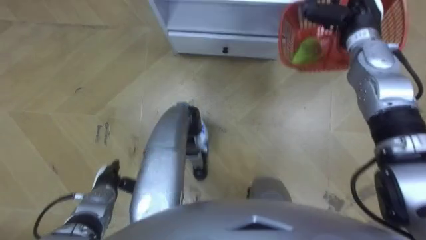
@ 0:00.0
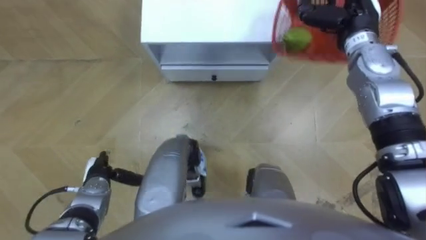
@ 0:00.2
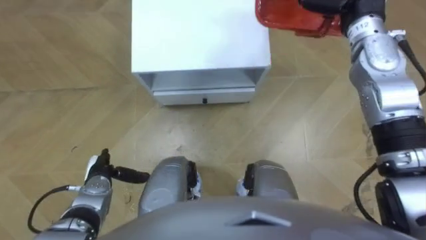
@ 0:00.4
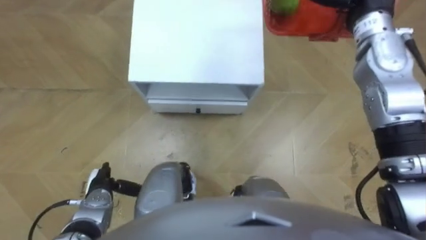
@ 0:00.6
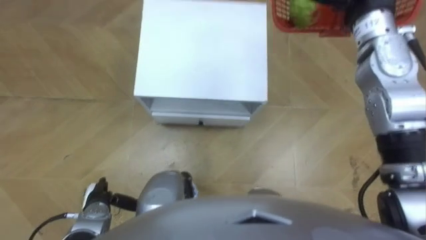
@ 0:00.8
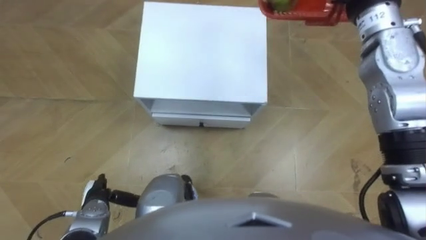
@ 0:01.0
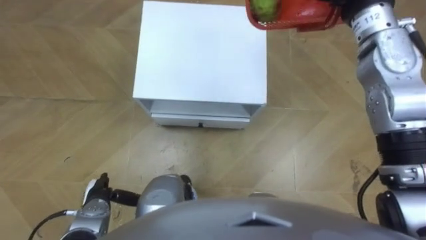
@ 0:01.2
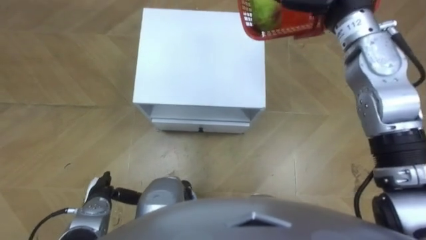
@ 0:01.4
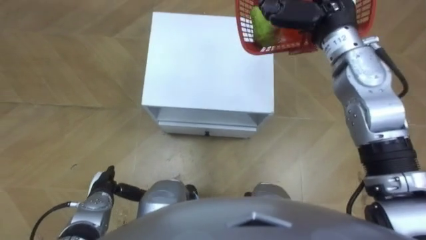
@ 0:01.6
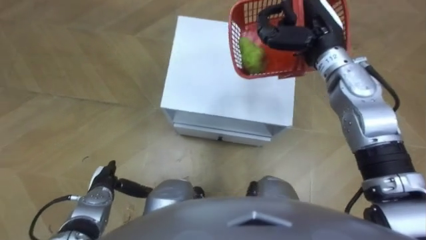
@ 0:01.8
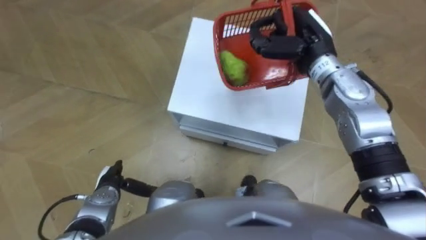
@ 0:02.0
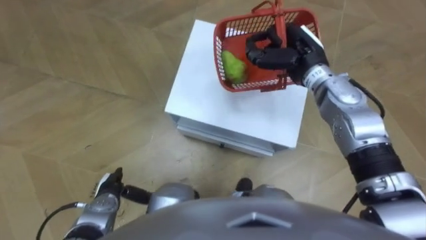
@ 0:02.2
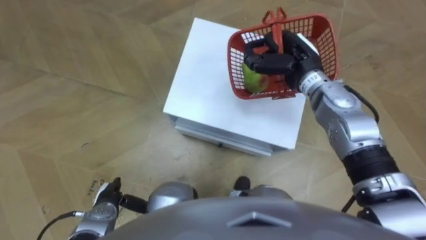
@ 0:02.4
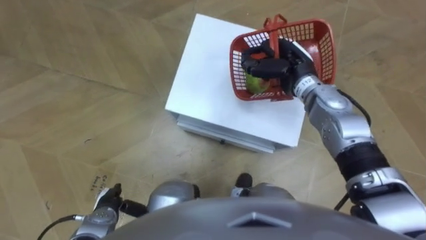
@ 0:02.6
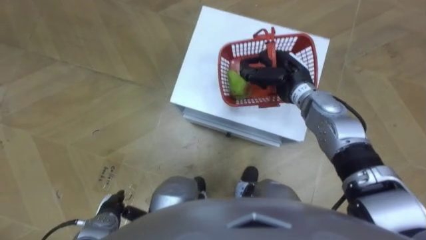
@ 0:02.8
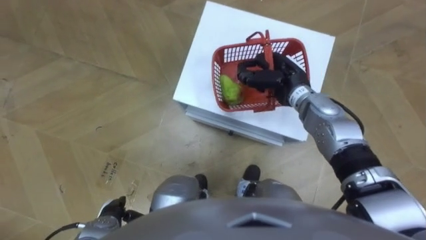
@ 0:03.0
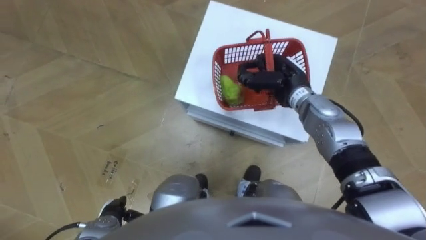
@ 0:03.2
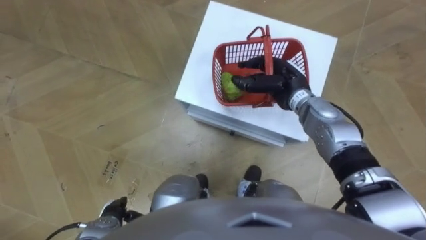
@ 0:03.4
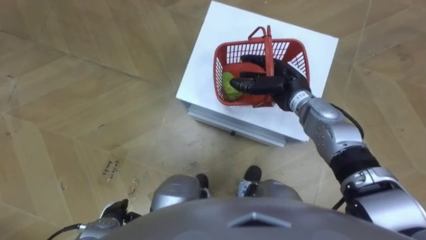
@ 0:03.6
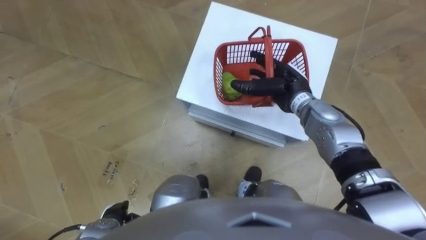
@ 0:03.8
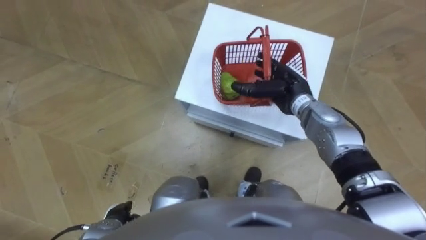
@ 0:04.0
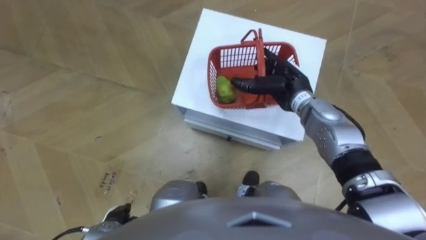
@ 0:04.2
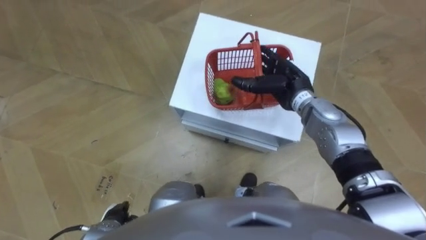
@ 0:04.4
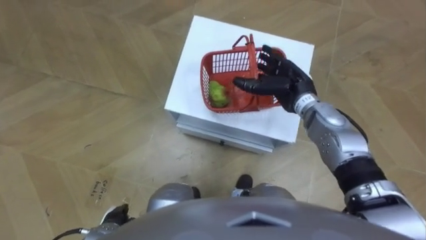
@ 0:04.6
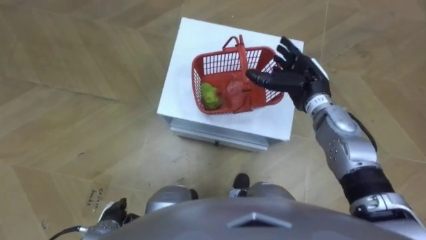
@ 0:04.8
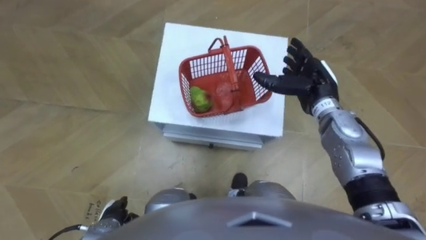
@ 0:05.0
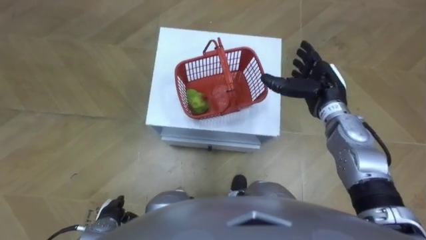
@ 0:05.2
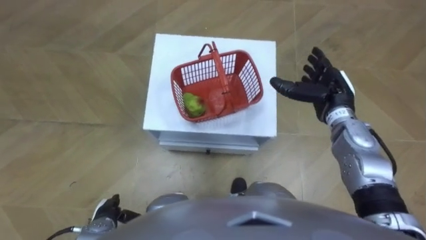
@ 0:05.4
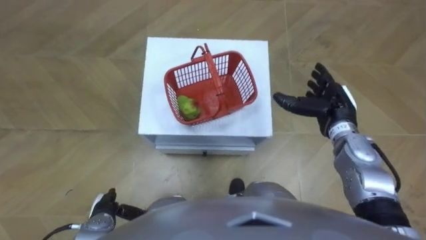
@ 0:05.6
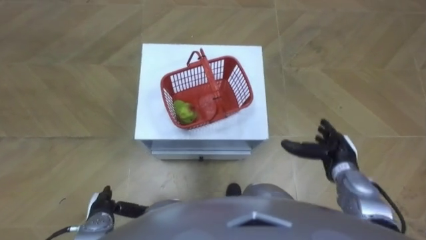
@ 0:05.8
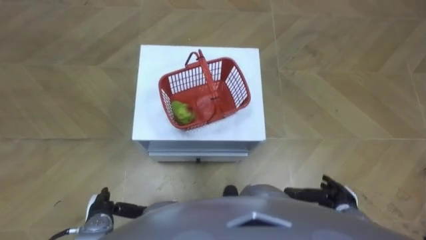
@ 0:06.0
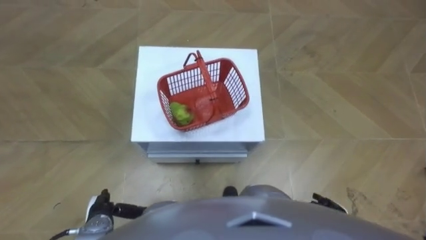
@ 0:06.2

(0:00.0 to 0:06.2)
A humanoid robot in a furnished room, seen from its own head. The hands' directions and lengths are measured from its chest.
Task of the whole recording: Pick up the fruit basket from the floor and place it on the cabinet.
0:01.6 - 0:03.2: The right hand is displaced downward by approximately 15 cm. Meanwhile the left hand travels backward by approximately 5 cm.
0:03.2 - 0:04.6: The right hand opens its fingers.
0:04.6 - 0:06.2: The right hand moves backward and downward, roughly 30 cm.

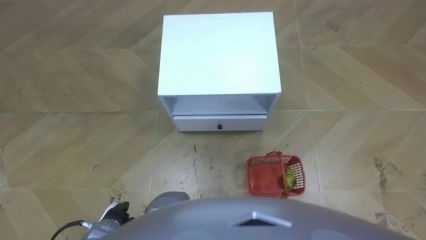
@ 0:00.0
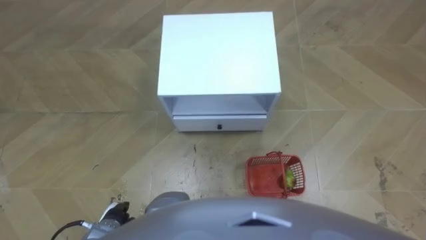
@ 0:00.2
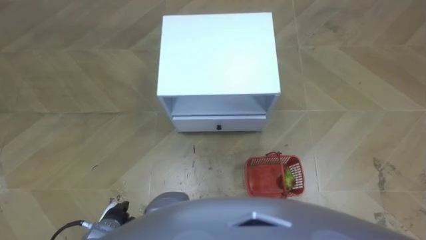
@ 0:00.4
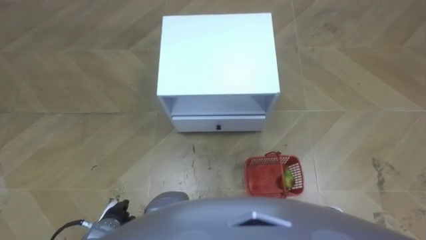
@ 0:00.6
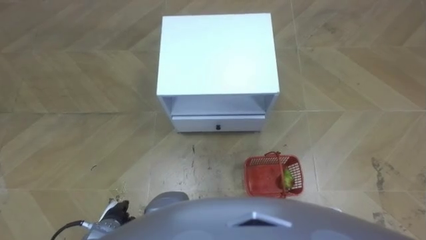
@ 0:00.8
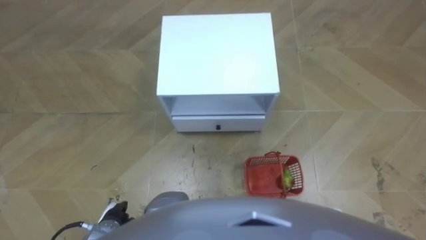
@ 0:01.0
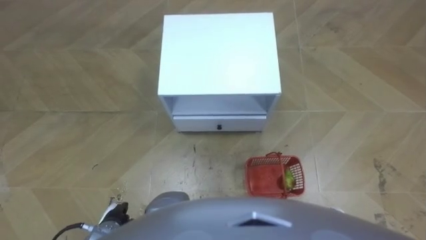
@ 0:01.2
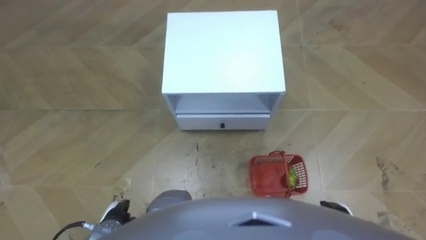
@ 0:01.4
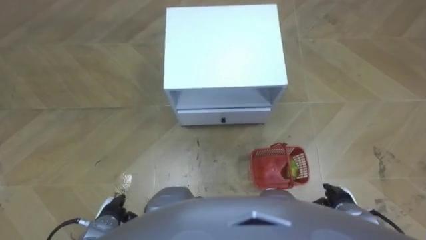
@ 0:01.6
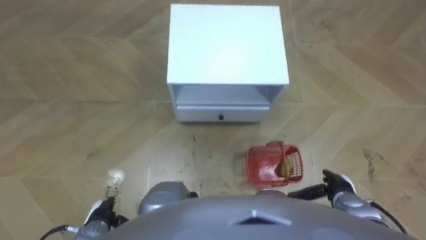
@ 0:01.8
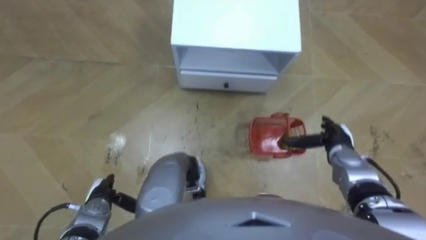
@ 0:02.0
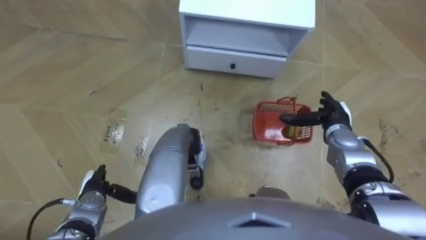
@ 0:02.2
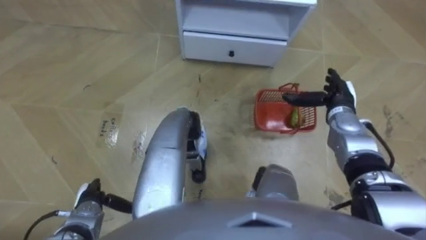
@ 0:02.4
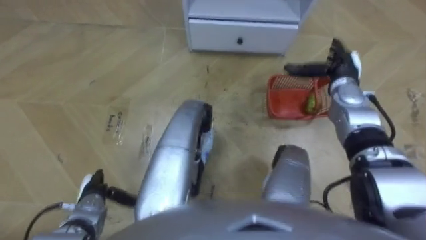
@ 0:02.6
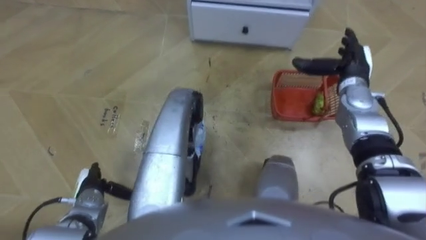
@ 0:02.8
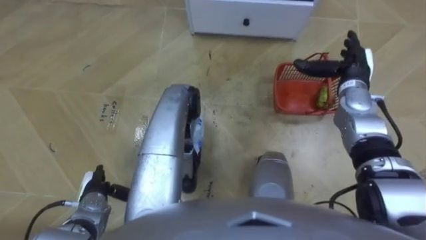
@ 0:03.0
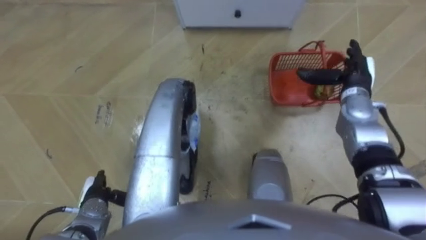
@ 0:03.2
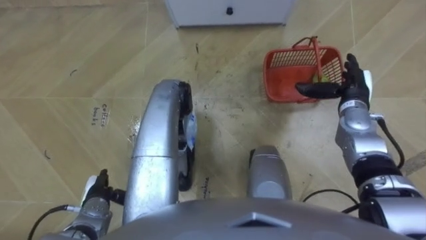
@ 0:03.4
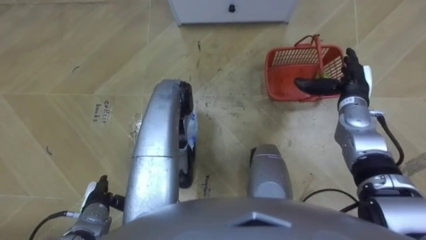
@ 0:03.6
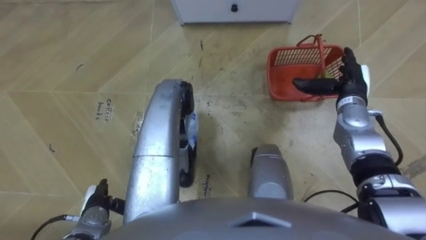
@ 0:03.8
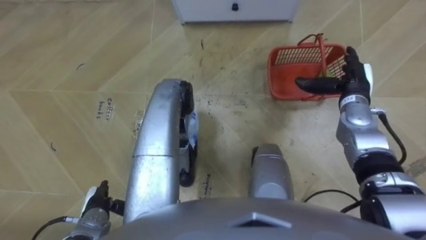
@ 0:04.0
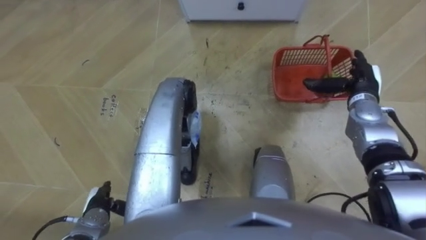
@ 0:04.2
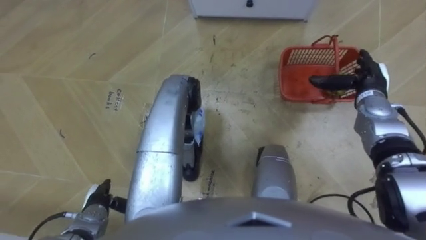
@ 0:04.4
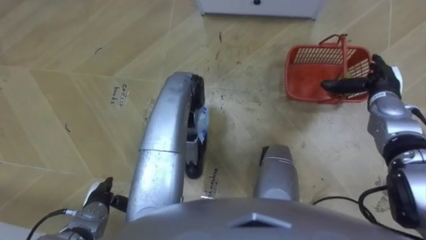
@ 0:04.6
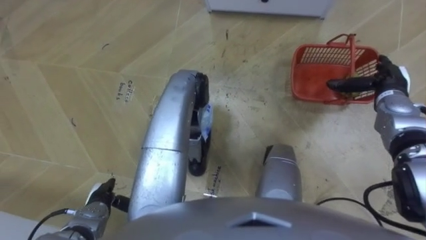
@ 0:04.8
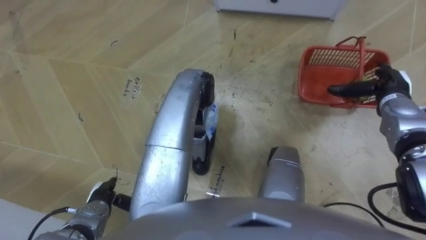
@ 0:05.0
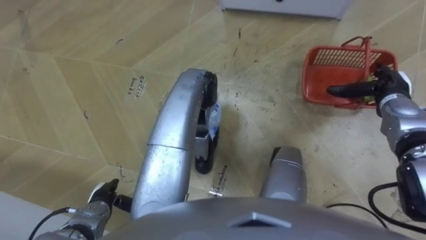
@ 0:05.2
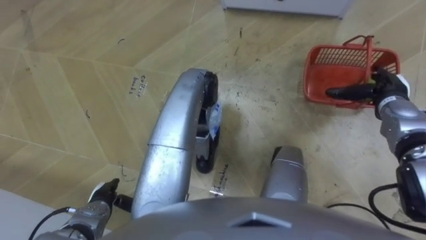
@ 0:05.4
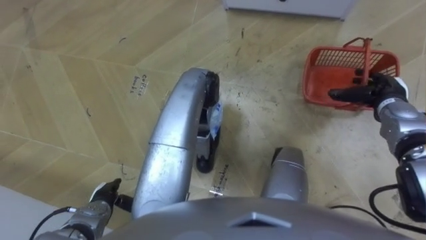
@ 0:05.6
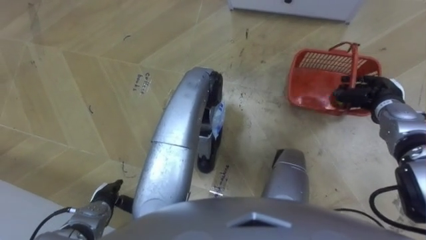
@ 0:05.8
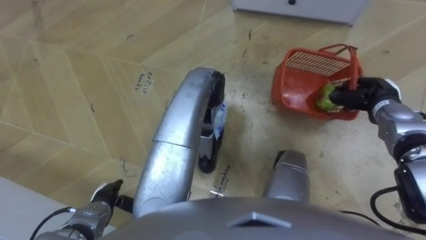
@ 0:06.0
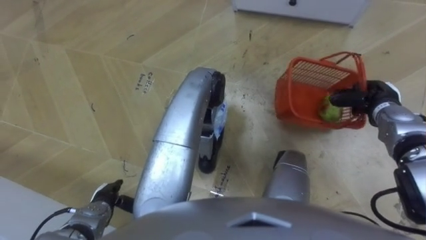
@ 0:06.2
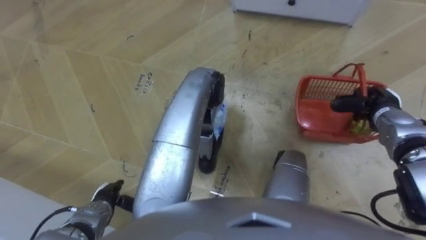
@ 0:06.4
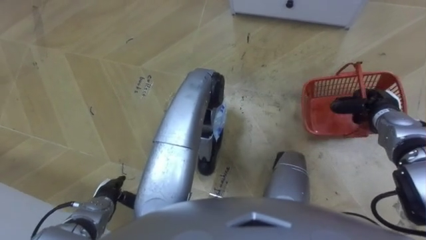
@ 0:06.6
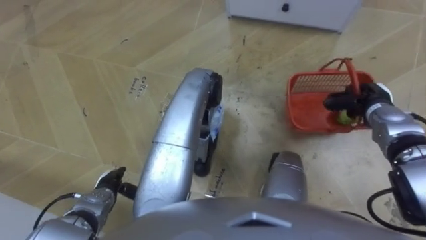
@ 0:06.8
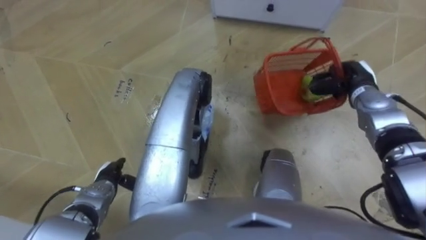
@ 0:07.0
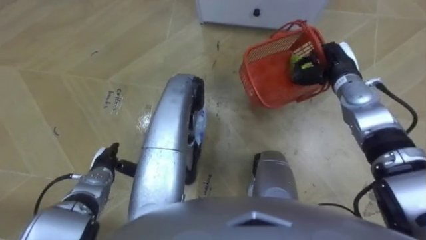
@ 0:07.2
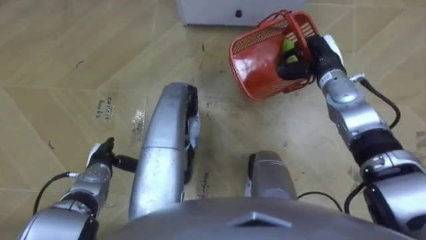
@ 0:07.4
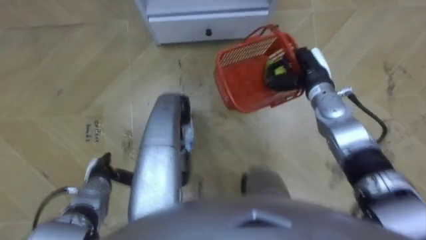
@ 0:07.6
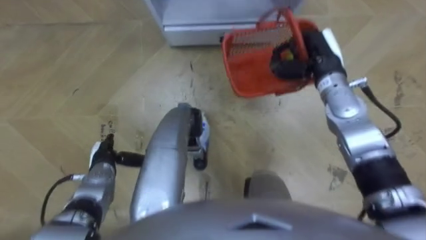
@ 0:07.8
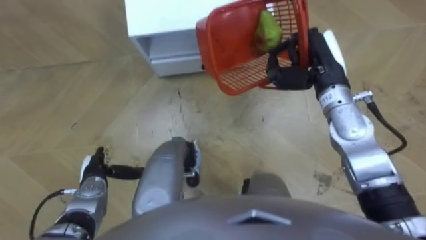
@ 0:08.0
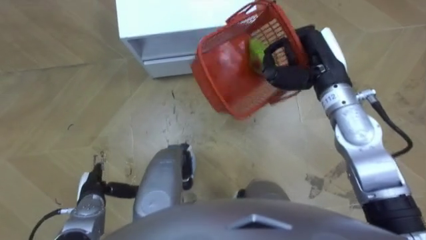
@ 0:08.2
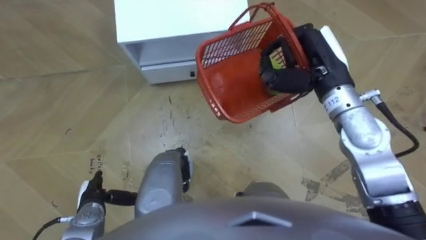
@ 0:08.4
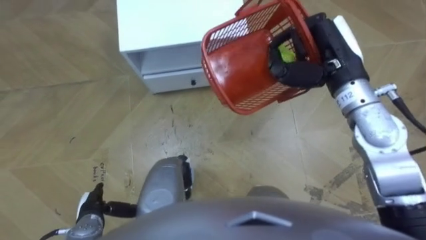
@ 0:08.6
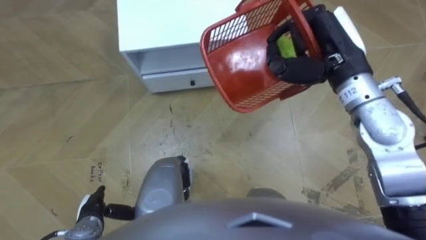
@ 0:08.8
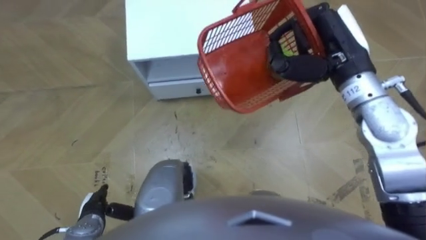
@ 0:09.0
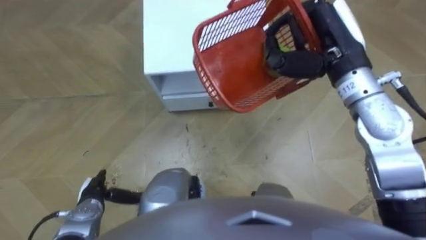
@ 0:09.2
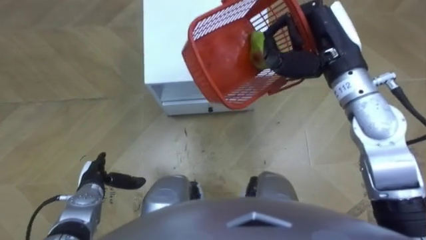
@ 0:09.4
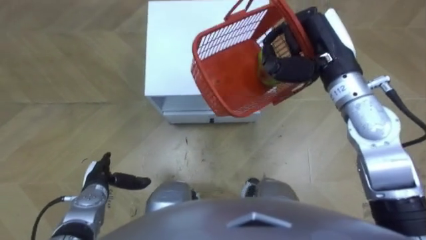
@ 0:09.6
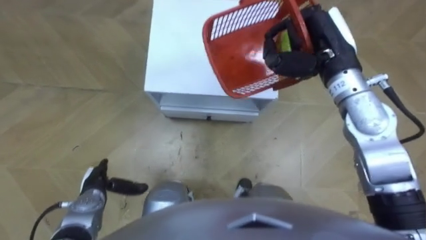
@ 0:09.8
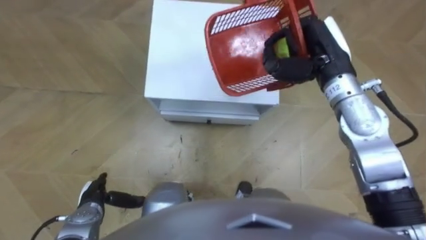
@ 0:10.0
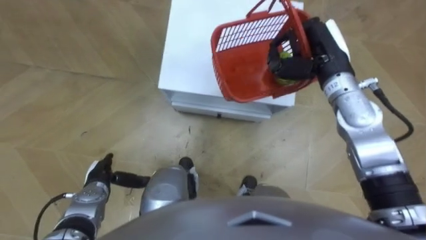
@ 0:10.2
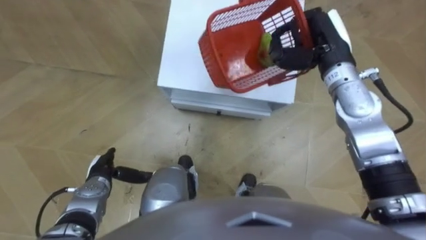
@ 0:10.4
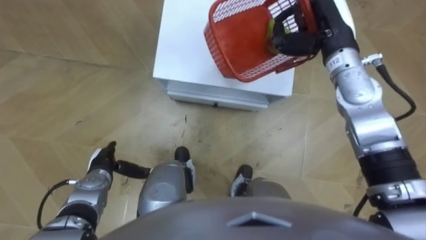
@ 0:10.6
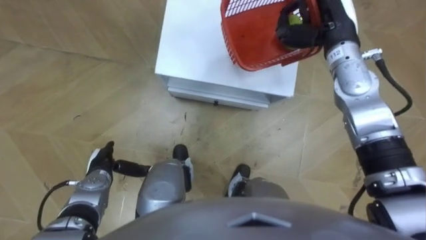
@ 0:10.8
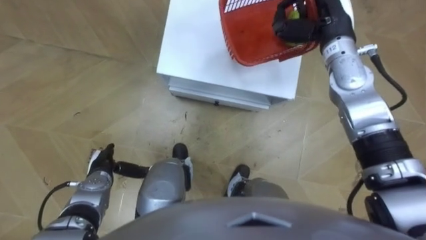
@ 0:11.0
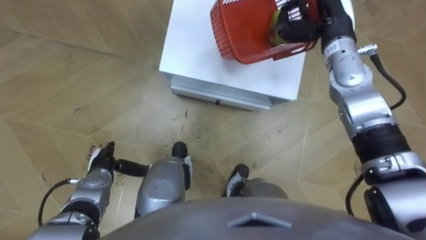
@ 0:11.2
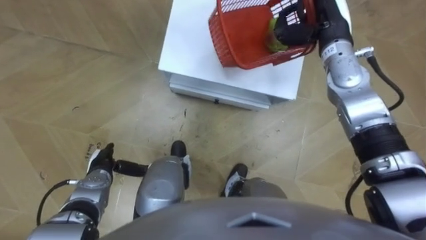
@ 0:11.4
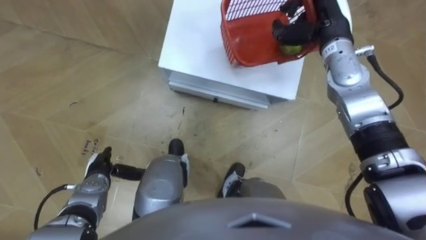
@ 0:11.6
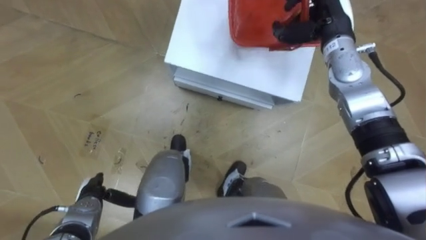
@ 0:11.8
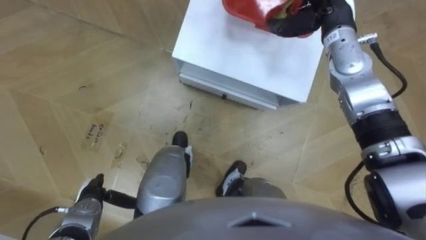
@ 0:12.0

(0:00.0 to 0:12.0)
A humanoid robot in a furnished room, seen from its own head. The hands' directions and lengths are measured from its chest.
Task of the whole recording: Pick up the fruit basket from the floor and place it on the cabinet.
0:01.6 - 0:03.0: The right hand moves forward and upward, about 30 cm. Meanwhile the left hand is displaced forward by some 5 cm.
0:04.4 - 0:06.0: The right hand closes its fingers.
0:06.0 - 0:07.6: The left hand shifts about 5 cm forward; the right hand heads to the left, covering some 15 cm.
0:07.6 - 0:09.0: The right hand goes about 15 cm upward, while the left hand shifts approximately 5 cm backward.
0:09.0 - 0:10.4: The right hand is displaced downward by about 5 cm, while the left hand goes forward and backward, about 10 cm each way, reversing 2 times.
0:10.4 - 0:12.0: The right hand travels forward by roughly 5 cm, and opens up. Meanwhile the left hand moves backward, some 5 cm.
